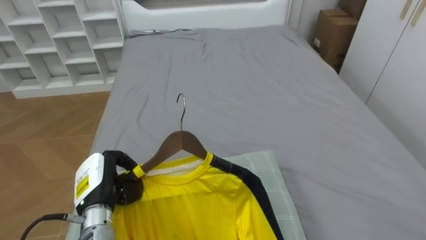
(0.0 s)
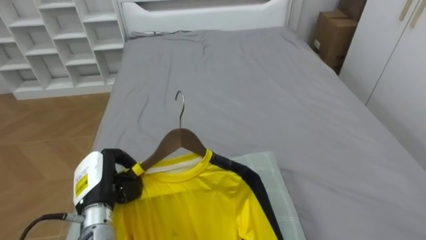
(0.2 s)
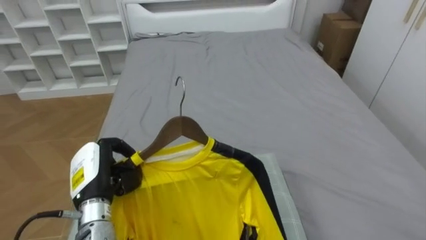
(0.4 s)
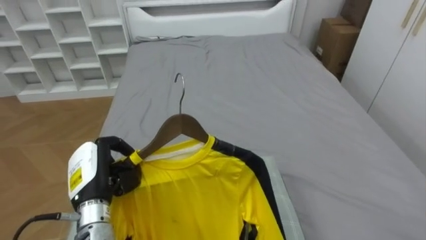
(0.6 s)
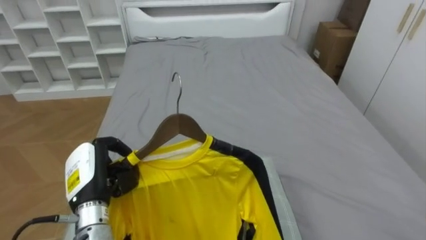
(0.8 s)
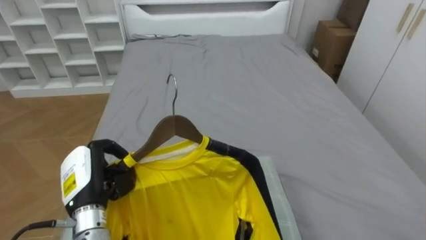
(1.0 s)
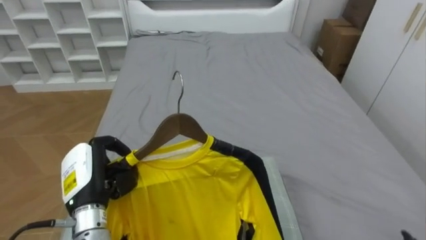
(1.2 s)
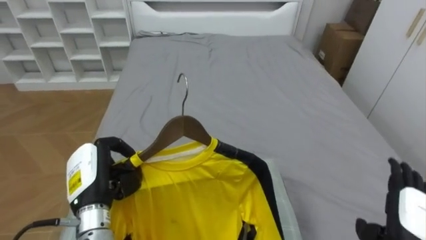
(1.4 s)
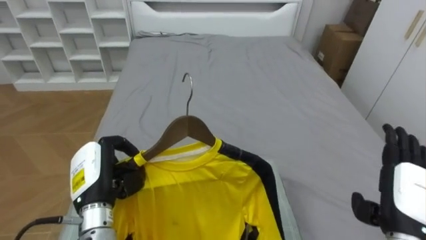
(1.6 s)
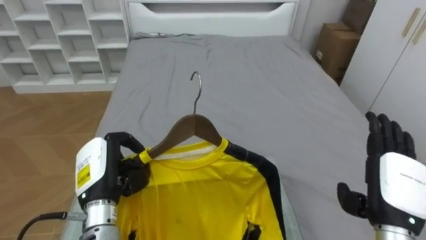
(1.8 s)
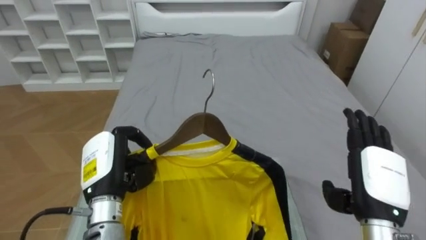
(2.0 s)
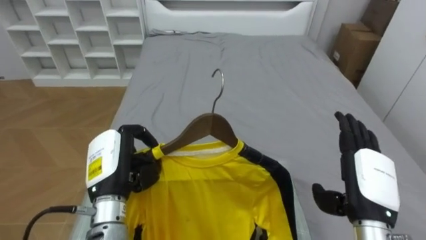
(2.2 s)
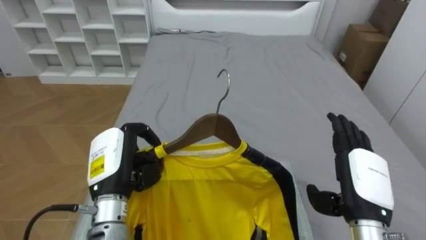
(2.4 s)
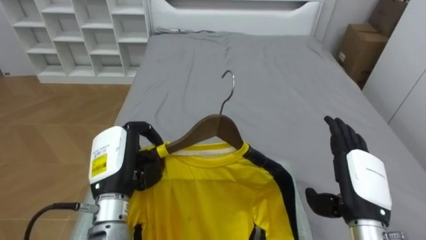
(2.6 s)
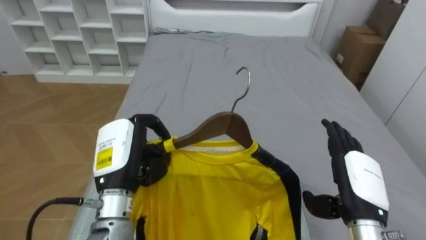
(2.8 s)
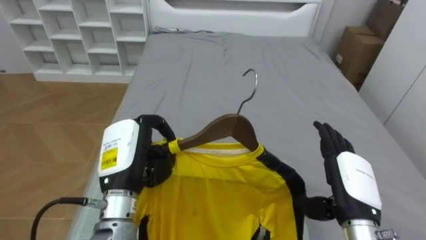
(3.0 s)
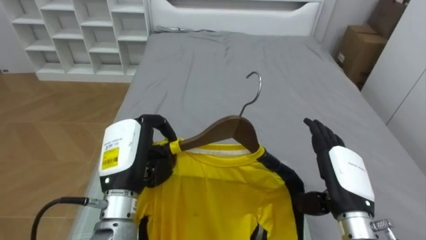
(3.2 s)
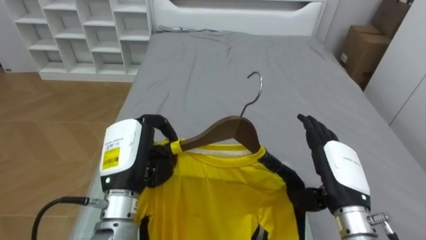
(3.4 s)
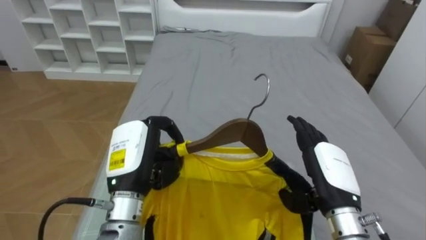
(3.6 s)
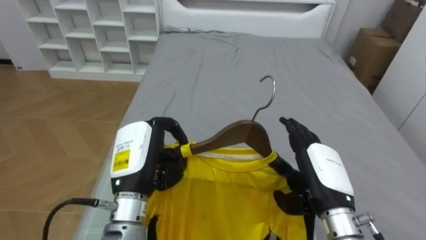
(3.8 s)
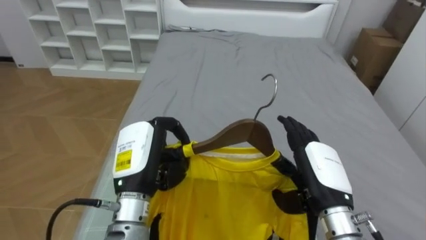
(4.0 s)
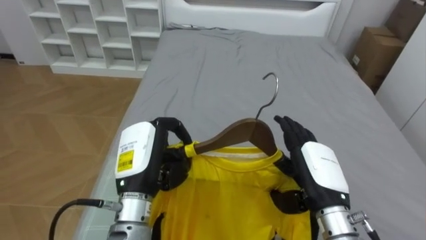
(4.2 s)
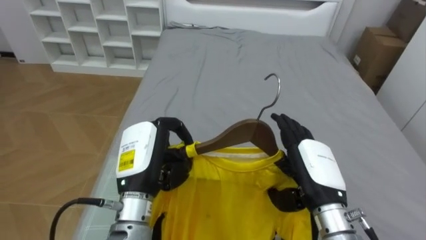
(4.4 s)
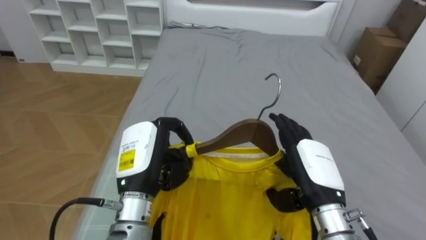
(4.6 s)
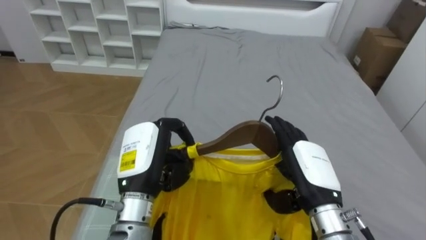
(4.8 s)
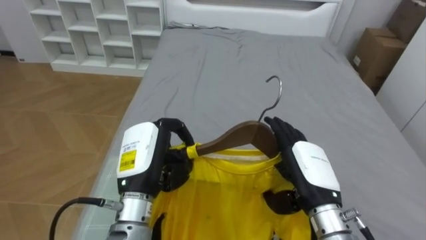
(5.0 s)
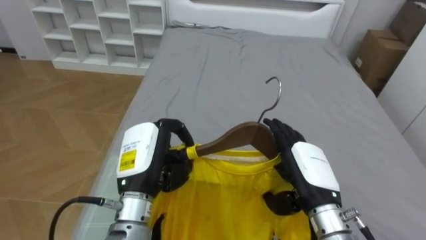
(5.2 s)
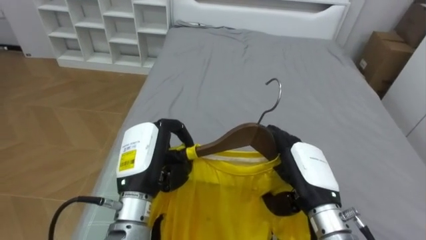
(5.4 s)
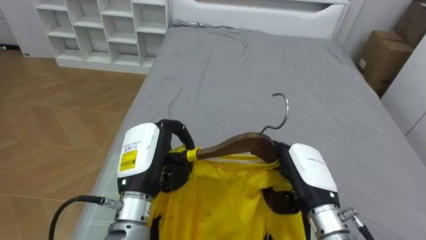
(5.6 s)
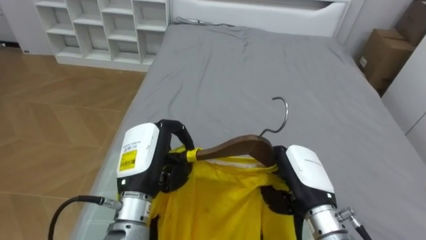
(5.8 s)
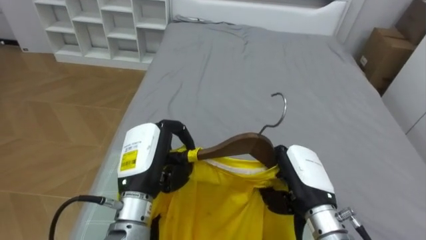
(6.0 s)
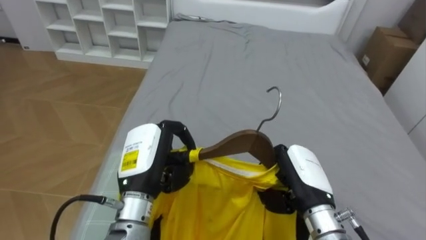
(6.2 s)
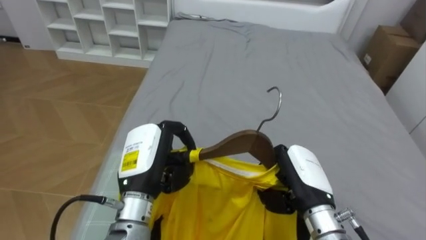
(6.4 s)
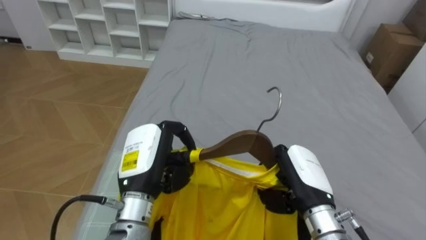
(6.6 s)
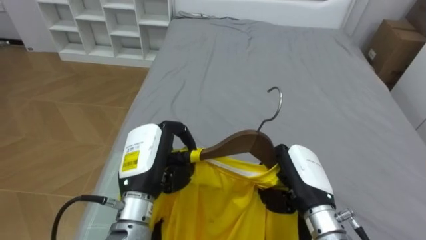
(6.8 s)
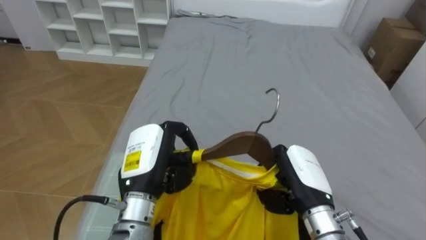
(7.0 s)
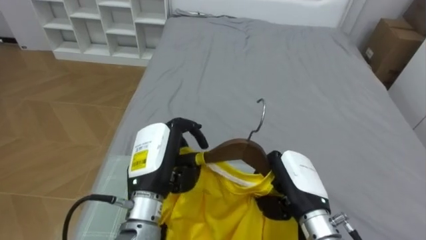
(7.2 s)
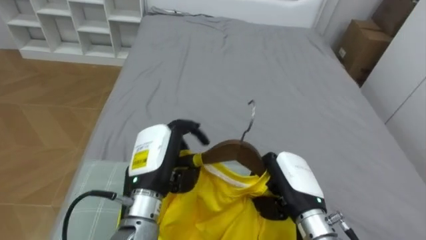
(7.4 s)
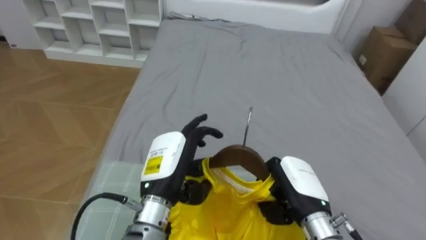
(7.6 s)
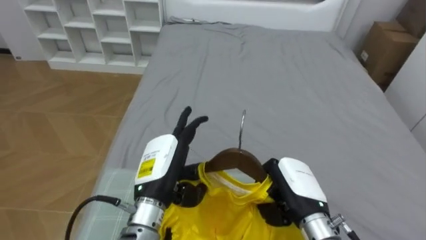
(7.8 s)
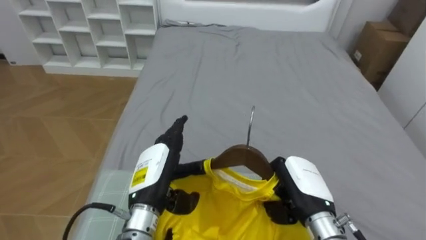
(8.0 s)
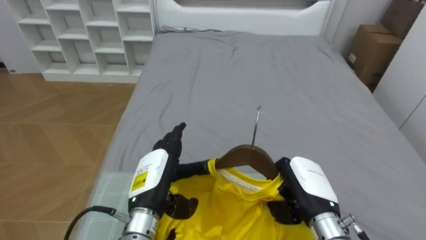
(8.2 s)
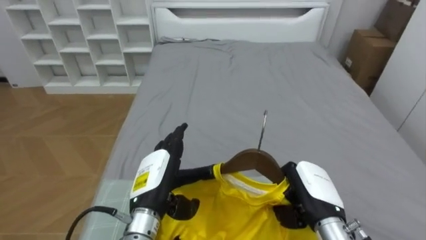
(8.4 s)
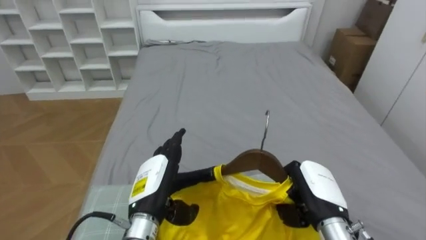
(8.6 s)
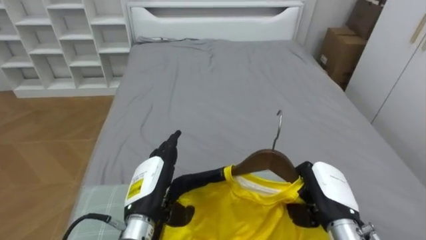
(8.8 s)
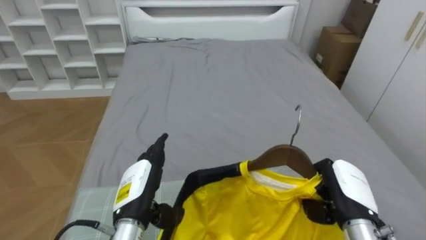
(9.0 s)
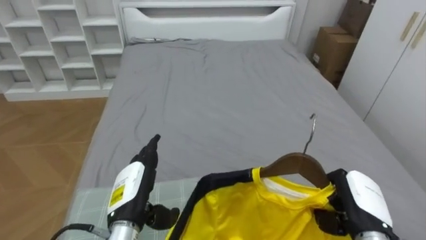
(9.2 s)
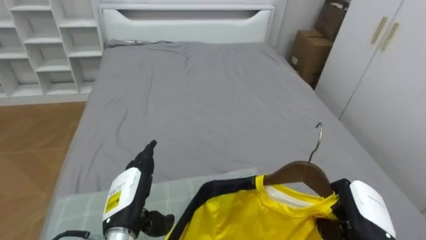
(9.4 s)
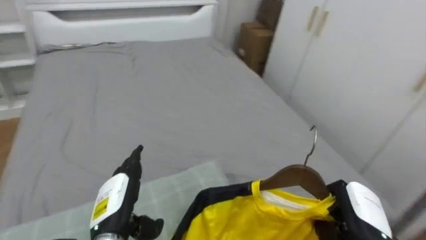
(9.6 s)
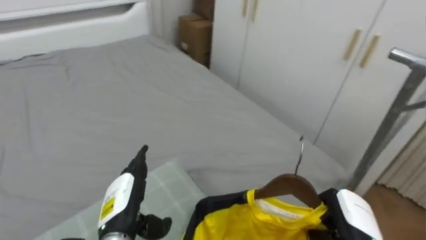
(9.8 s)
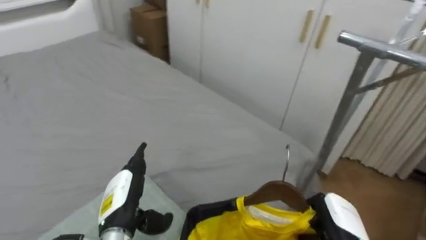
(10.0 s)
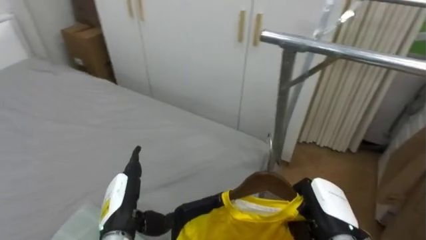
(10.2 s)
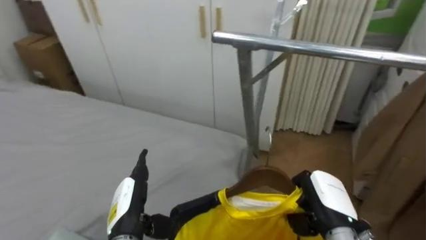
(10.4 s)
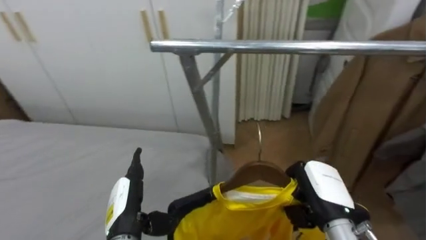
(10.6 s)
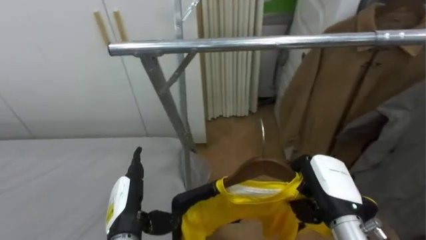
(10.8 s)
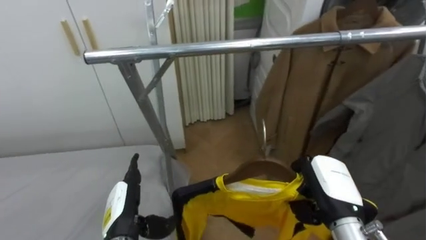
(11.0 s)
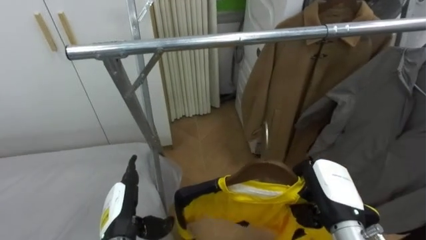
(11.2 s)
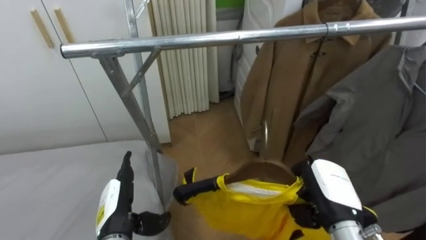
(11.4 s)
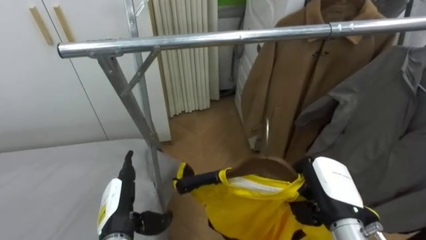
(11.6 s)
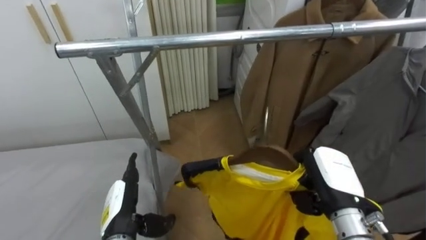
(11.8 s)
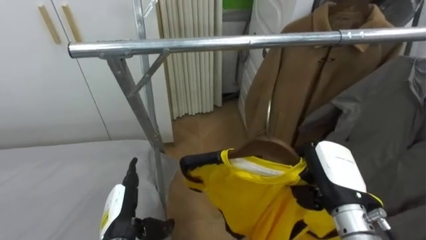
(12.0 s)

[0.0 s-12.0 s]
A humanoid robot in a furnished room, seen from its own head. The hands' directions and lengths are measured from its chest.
Task of the whole recording: Pick up the yellow shirt on the bed and hang it on the clothes rack on the right.
0.0 to 1.6 s: The left hand ends up roughly 5 cm from where it was.
1.6 to 3.0 s: The right hand goes approximately 10 cm to the left; the left hand shifts roughly 10 cm to the right and upward.
3.0 to 4.4 s: The right hand is displaced to the left by some 5 cm.
4.4 to 6.0 s: The right hand closes its fingers.
6.0 to 7.6 s: The left hand opens.
7.6 to 9.0 s: The left hand moves downward and to the left, approximately 10 cm. Meanwhile the right hand shifts some 10 cm to the right.
9.0 to 10.4 s: The robot turns to its right by roughly 65 degrees.
10.4 to 12.0 s: The robot's body swings about 25 degrees to its right. The right hand goes roughly 5 cm upward.

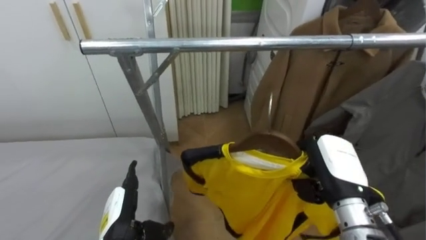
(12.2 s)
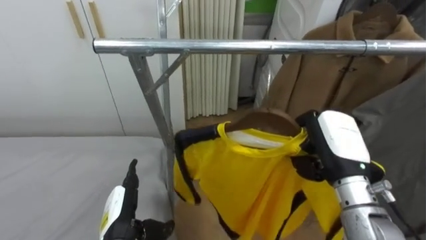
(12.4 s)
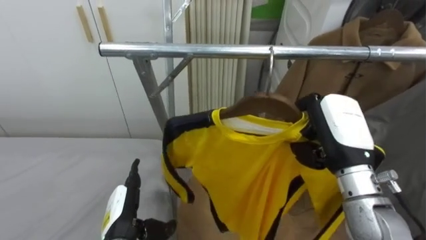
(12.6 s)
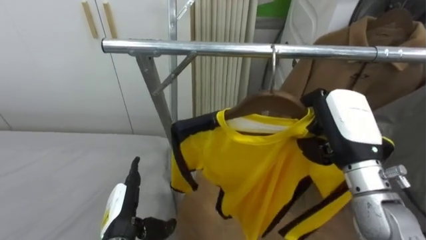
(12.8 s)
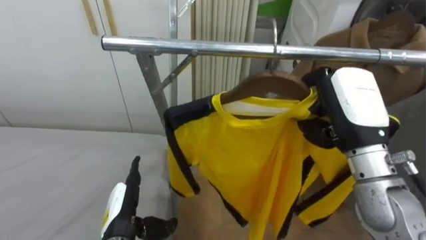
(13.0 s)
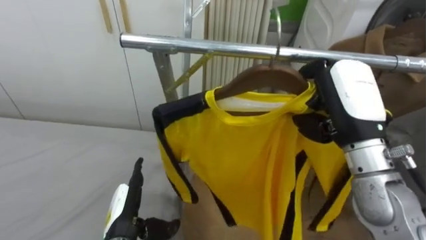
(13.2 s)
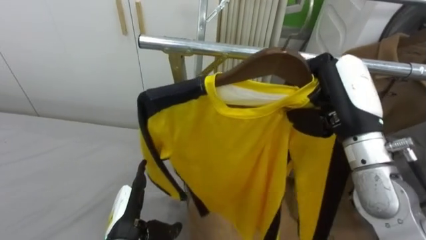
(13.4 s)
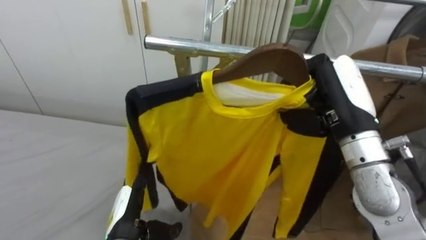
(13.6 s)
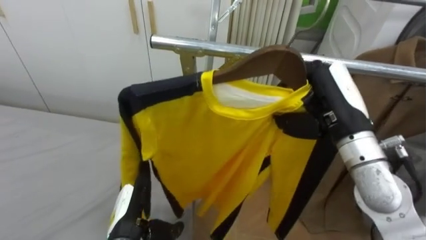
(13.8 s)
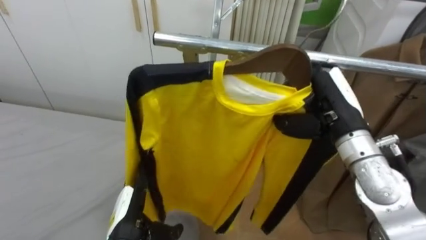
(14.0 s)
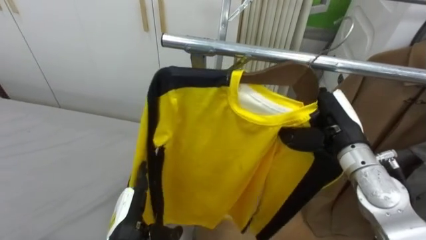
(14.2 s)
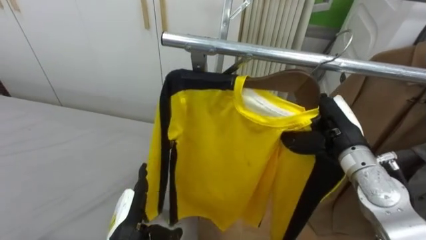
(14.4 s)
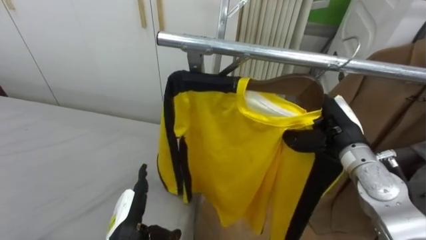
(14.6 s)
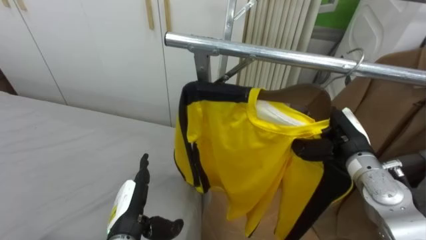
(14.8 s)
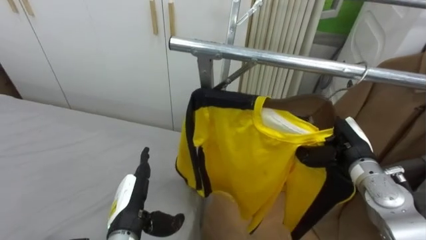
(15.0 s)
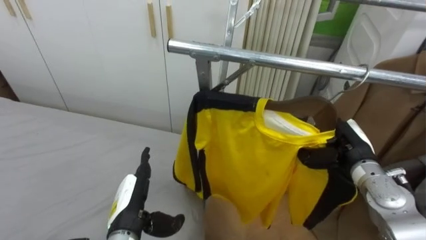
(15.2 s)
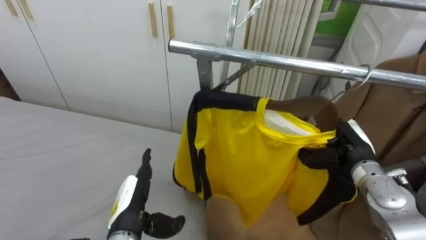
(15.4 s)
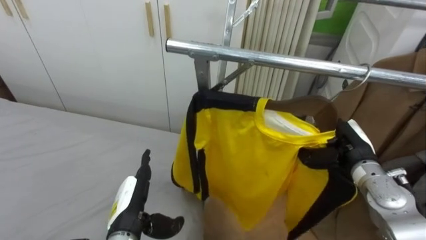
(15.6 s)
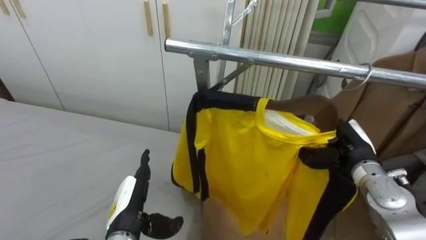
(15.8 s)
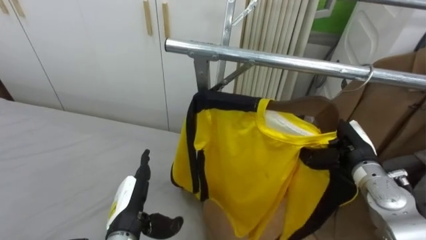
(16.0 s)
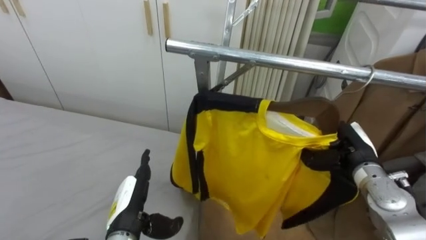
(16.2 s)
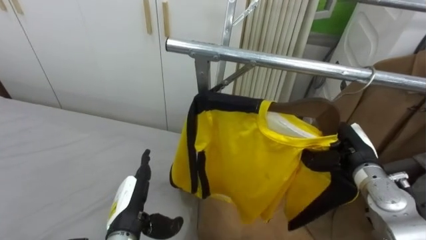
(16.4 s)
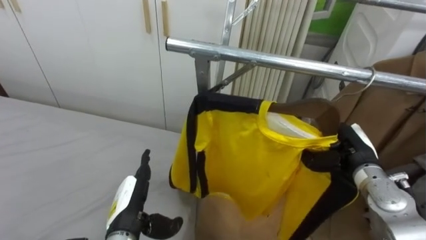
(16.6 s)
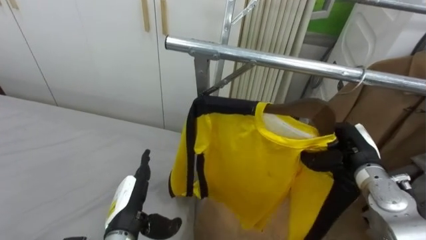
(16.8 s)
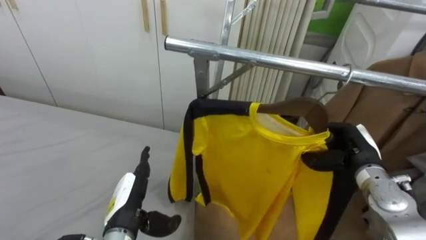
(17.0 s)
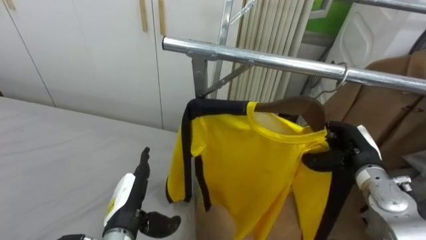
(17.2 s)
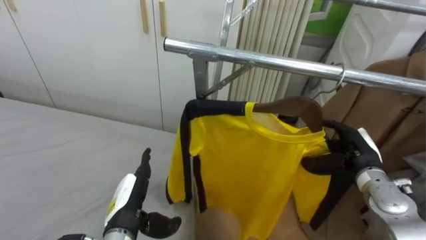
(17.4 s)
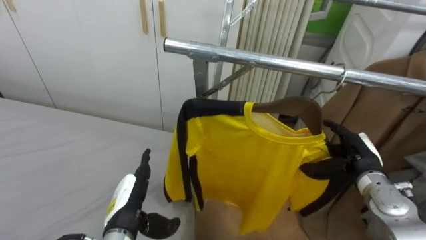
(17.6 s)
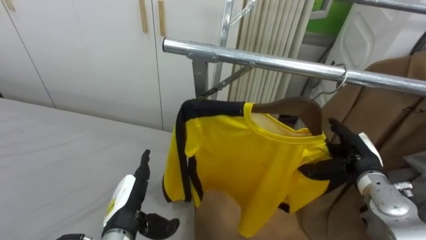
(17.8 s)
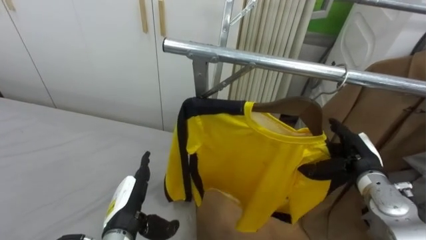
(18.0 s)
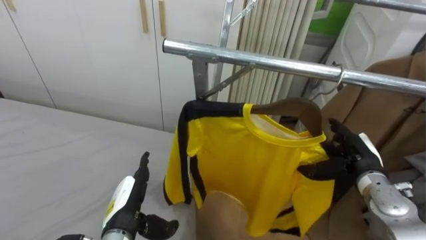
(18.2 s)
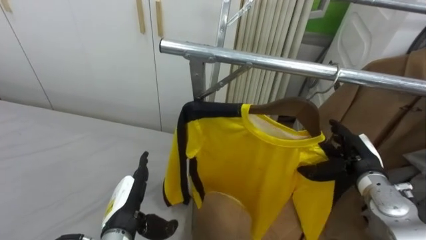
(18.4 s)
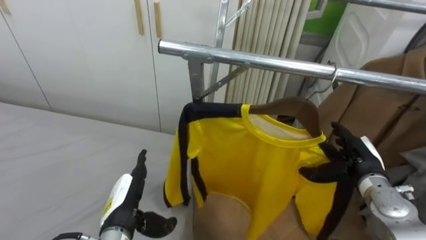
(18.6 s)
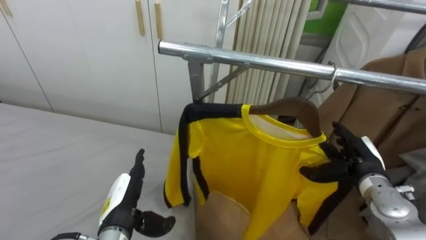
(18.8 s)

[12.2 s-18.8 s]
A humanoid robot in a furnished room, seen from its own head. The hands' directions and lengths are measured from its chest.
Task of the whole recording: Pick up the yellow shirt on the bed and hang it on the clothes rack on the right.
12.2 to 13.8 s: The right hand heads upward, covering some 10 cm.
13.8 to 15.4 s: The right hand shifts approximately 15 cm downward and to the right.
15.4 to 17.2 s: The right hand opens up.
17.2 to 18.8 s: The right hand opens.
